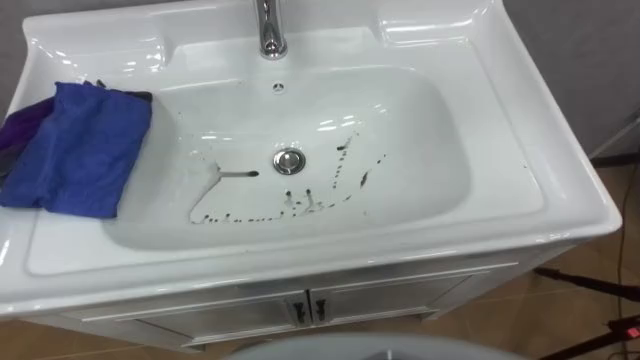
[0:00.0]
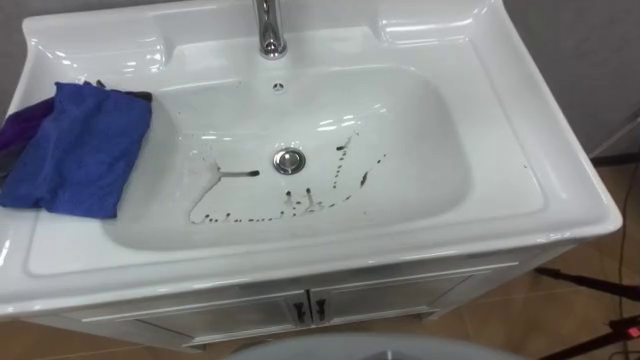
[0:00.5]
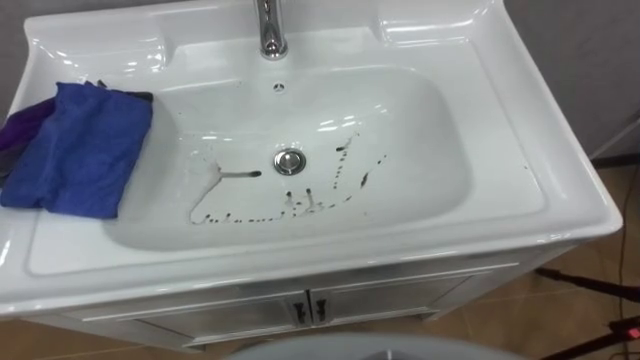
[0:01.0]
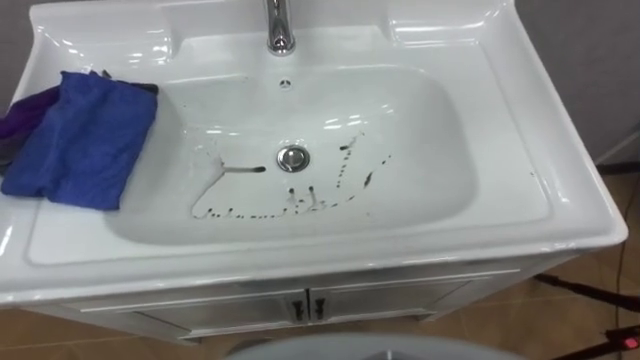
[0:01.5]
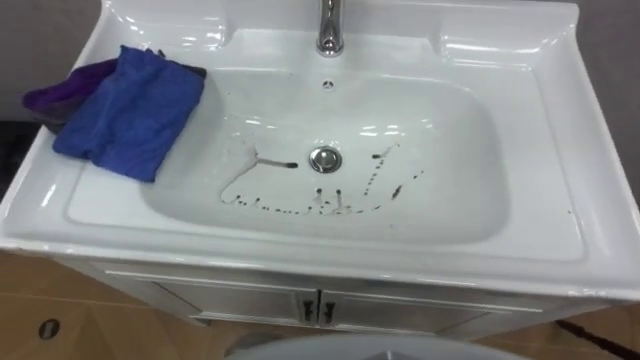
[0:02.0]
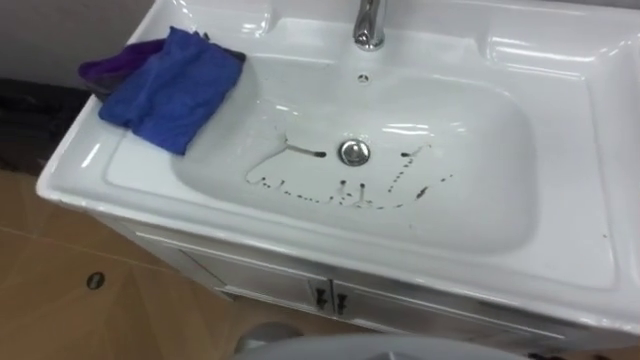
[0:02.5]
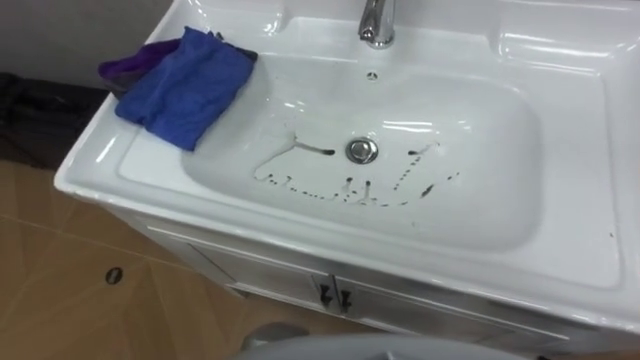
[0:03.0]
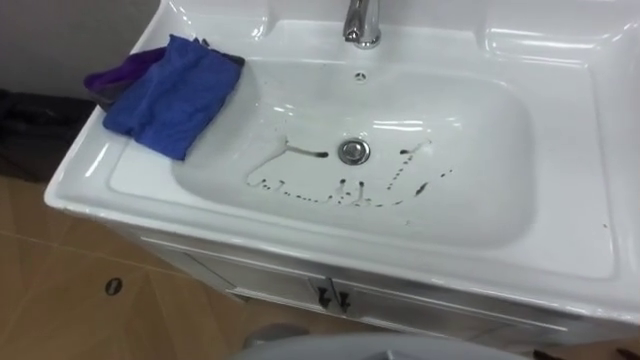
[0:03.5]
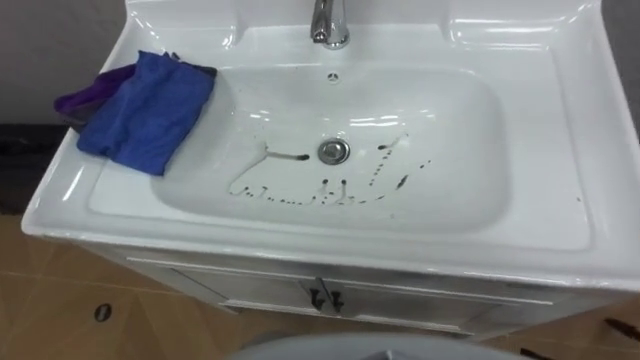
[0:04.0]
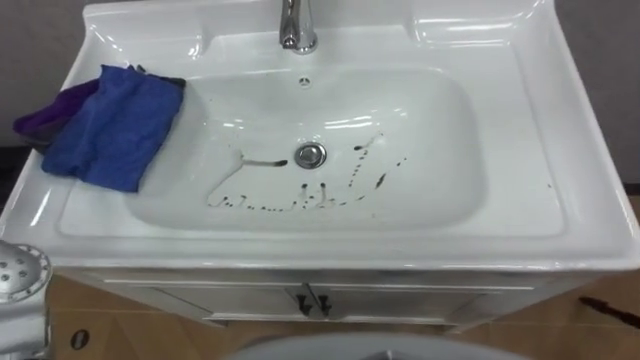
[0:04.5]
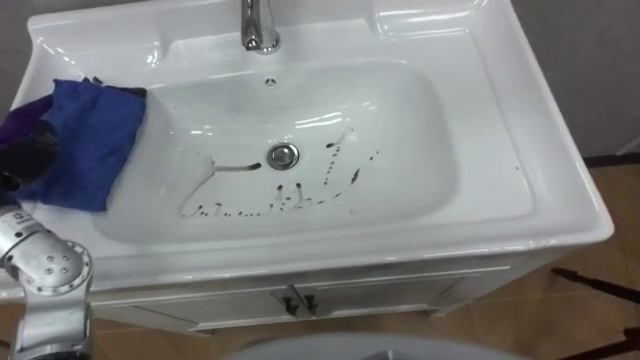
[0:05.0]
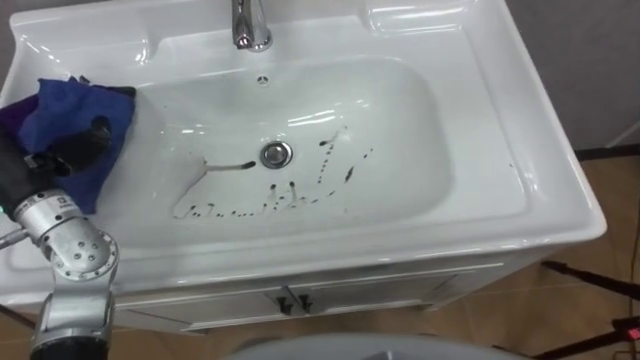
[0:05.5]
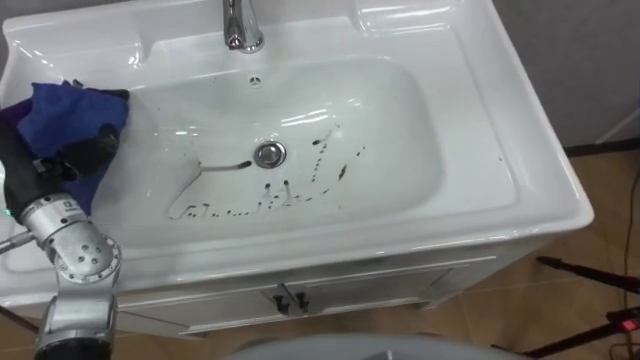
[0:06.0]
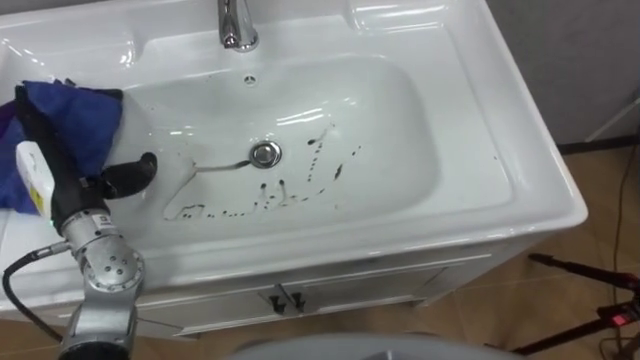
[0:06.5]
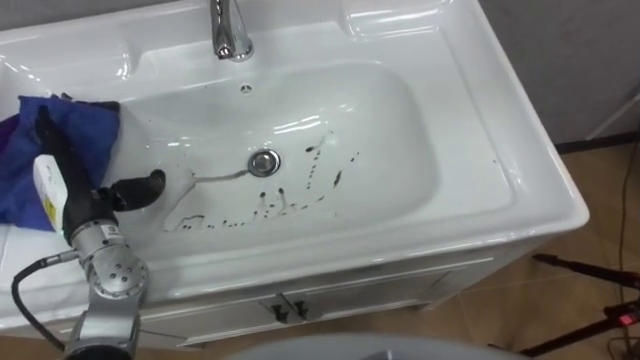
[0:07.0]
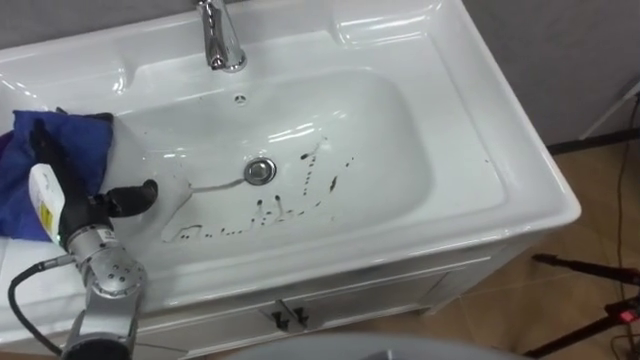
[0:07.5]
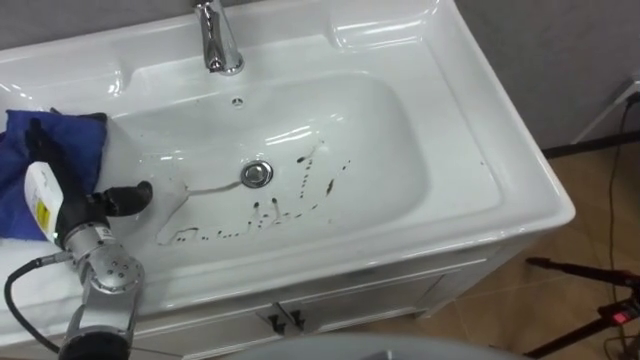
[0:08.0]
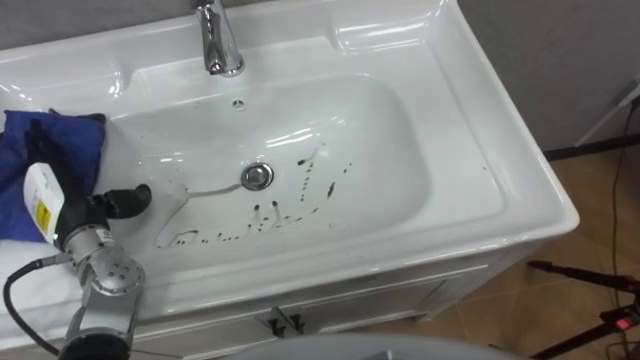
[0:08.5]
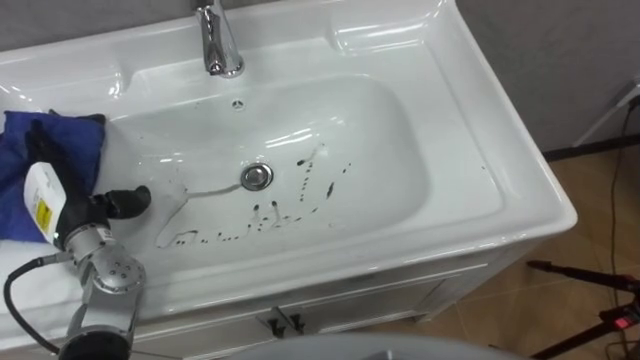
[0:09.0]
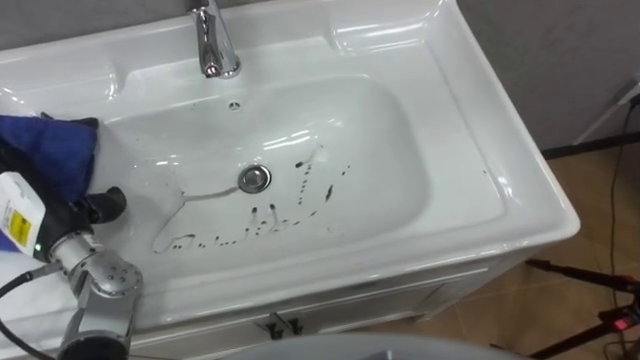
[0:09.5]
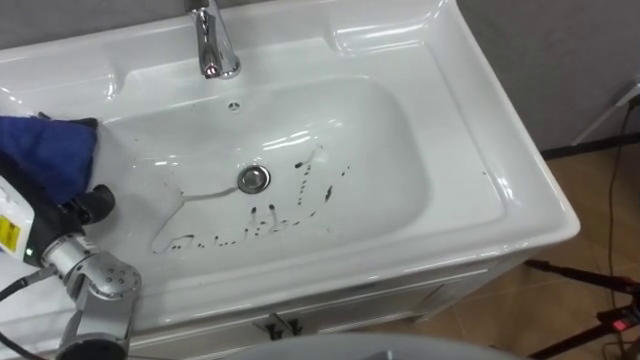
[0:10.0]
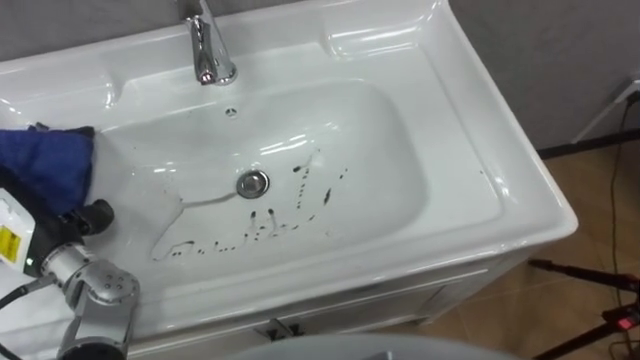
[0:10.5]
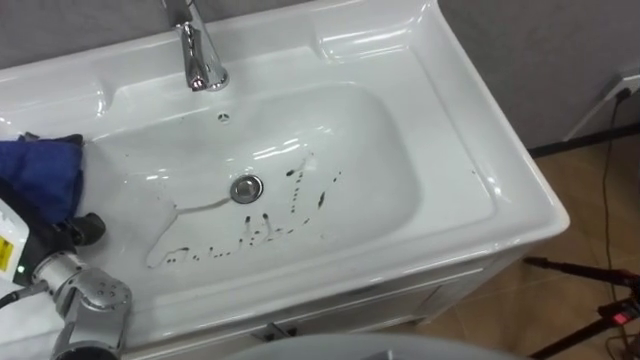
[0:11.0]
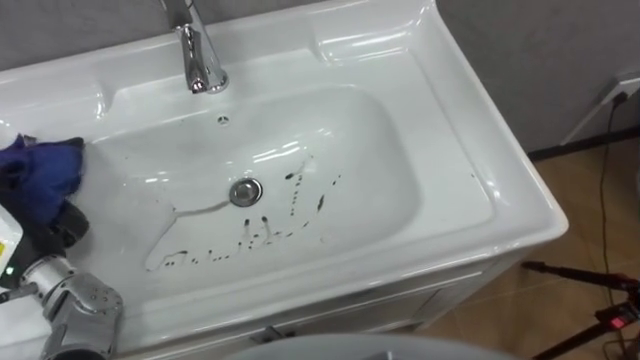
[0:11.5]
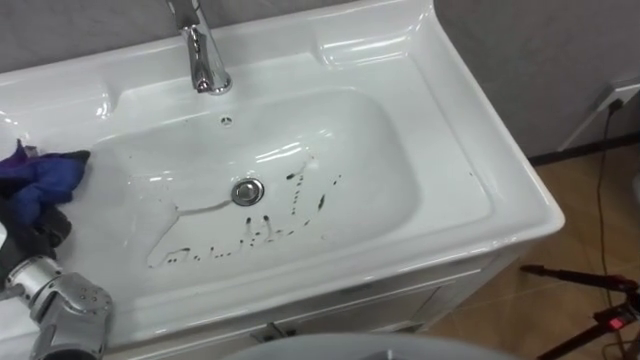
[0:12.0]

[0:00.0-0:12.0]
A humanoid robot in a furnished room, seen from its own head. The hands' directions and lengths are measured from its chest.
Task of the whole recording: Use the cloth on the right to wipe away the black stain in the sink.
0:06.0 to 0:08.0: The left hand goes some 10 cm downward.

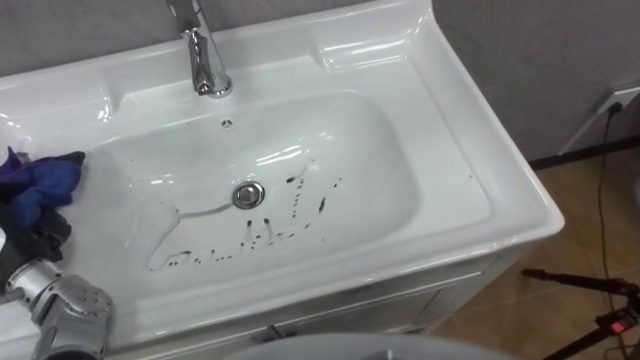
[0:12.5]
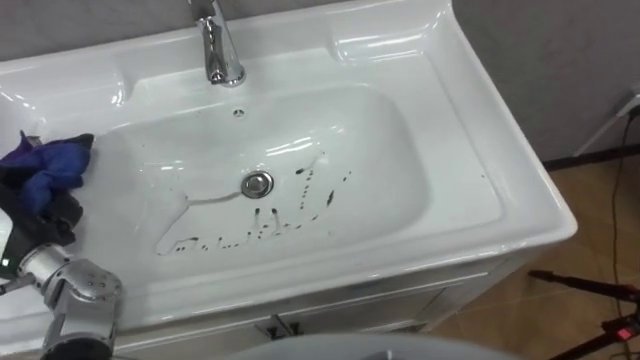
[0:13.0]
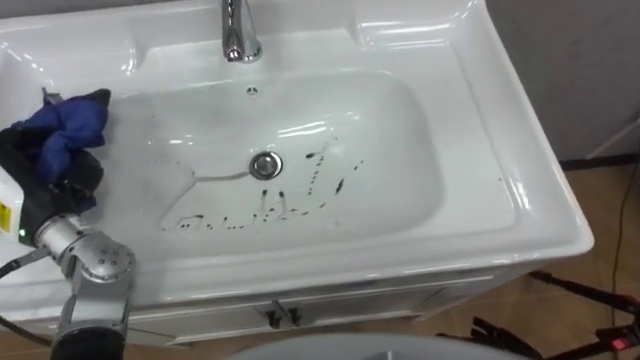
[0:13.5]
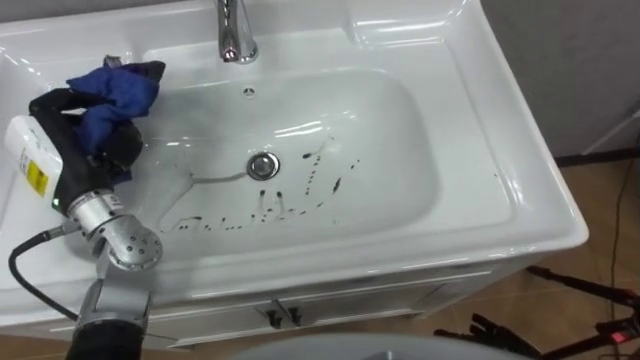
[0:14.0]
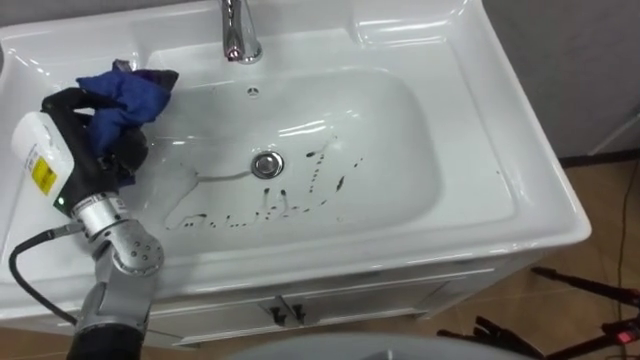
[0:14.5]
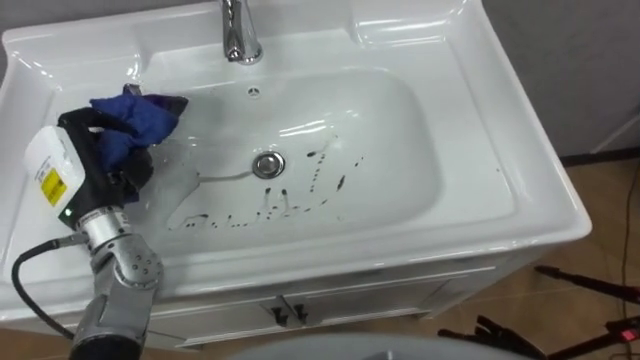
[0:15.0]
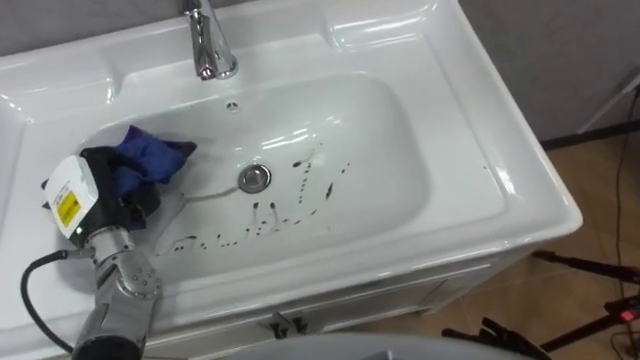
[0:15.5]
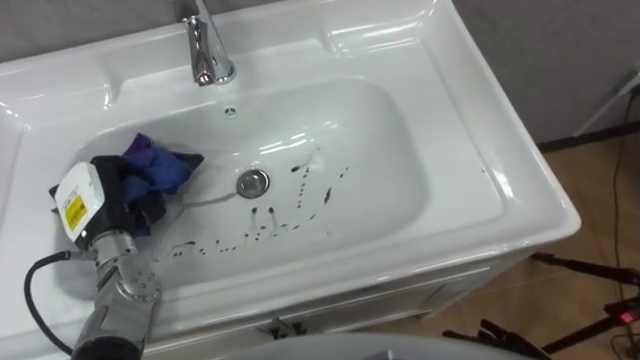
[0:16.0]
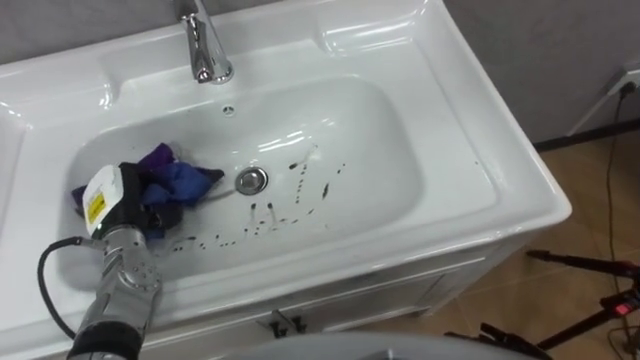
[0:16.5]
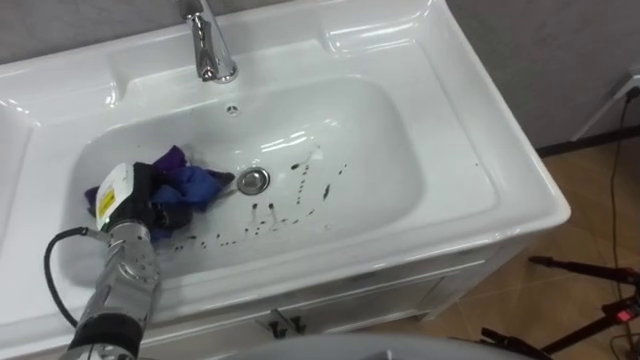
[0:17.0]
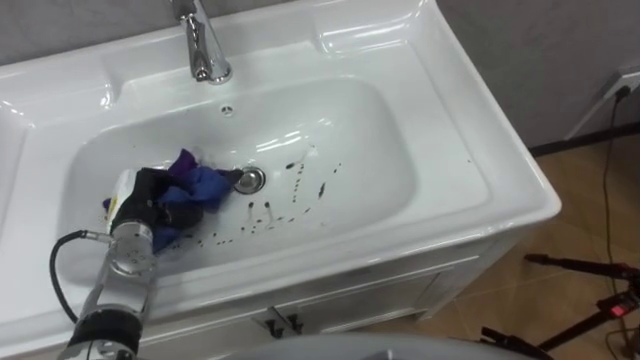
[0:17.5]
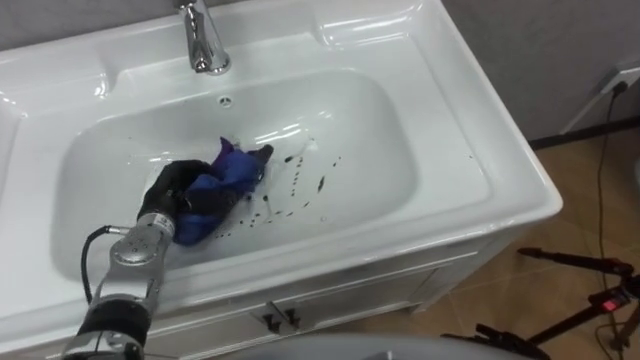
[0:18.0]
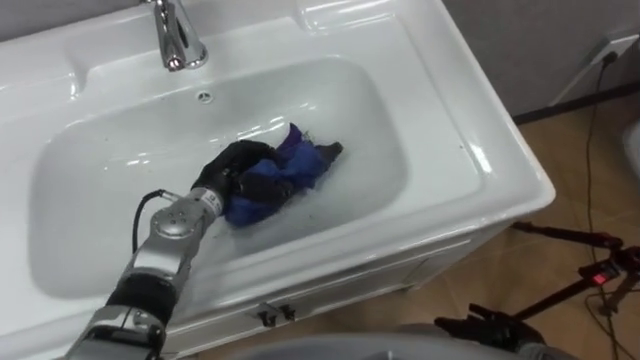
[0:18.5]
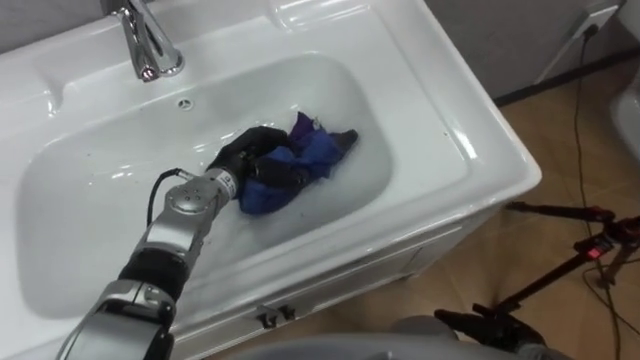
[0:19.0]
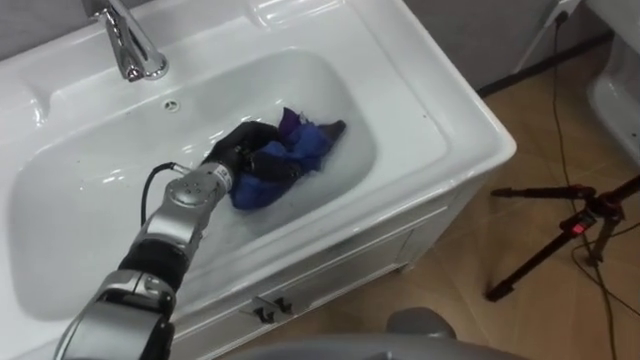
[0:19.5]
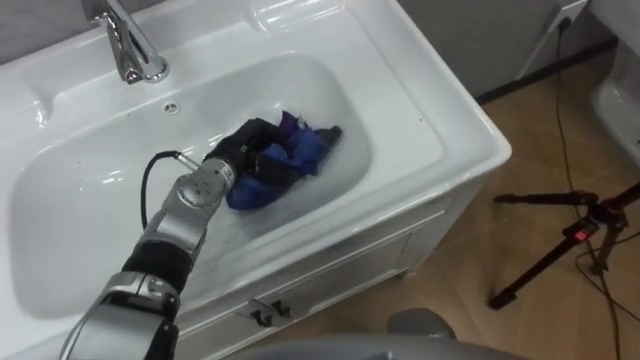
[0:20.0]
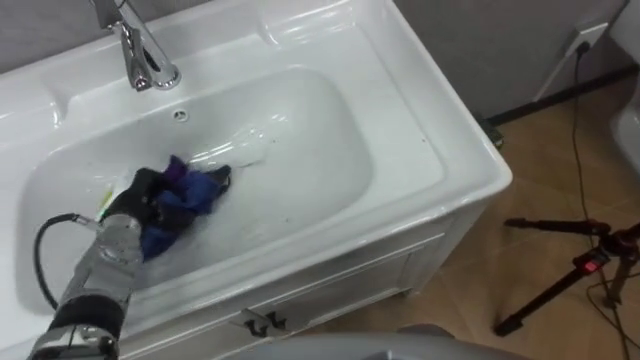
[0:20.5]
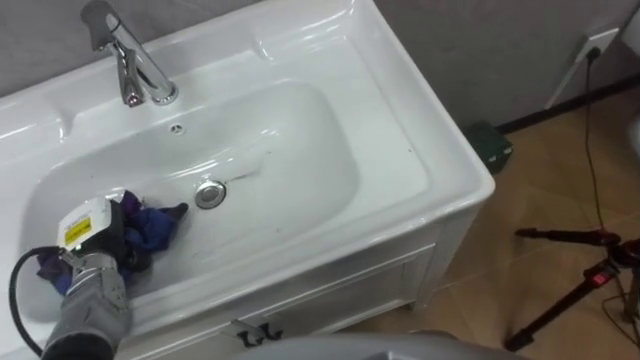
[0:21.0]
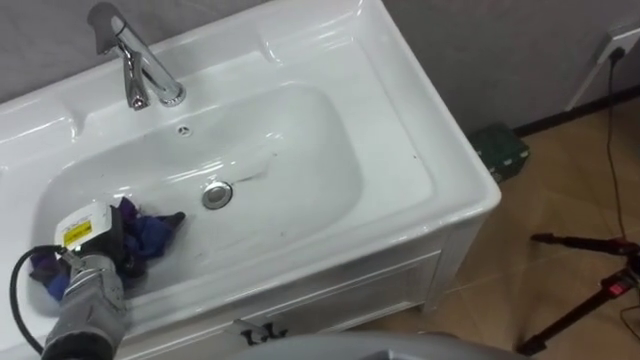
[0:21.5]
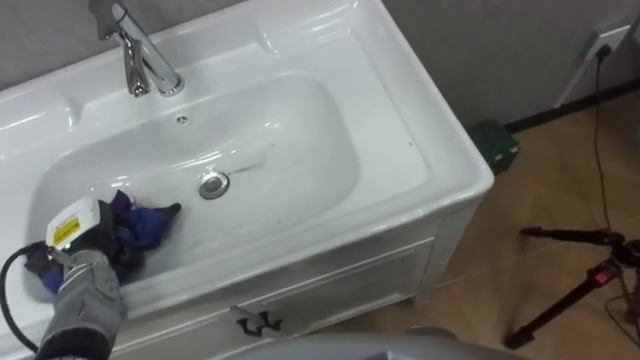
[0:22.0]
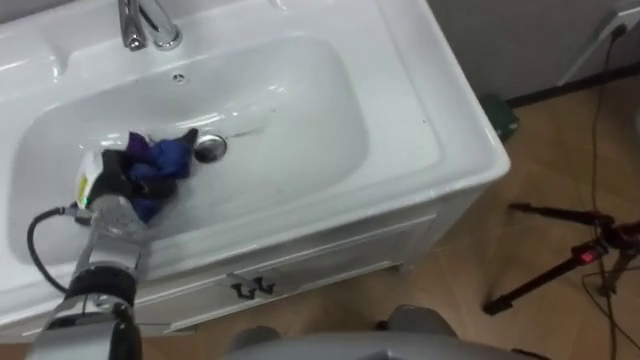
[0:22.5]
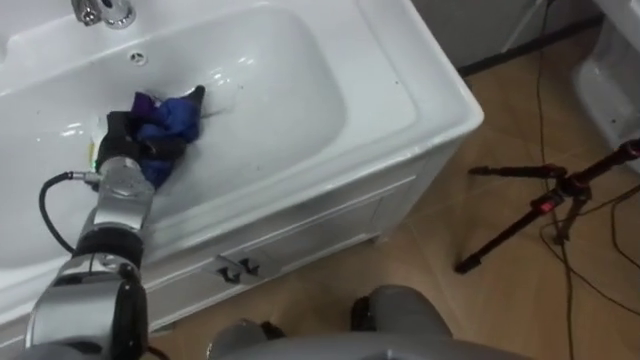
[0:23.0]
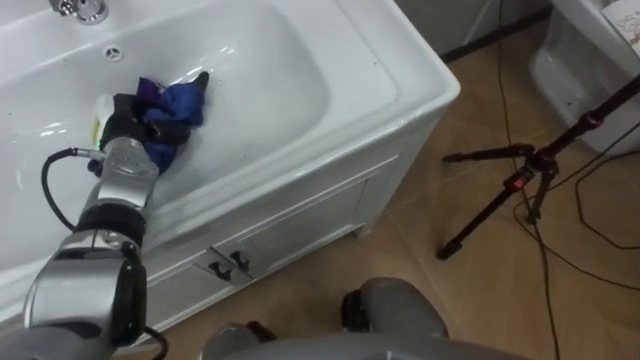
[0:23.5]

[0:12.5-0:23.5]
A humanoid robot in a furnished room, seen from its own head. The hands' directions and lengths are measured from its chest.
Task of the whole recording: Use the cloth on the right to wipe away the black stain in the sink.
0:14.5 to 0:16.0: The left hand is displaced downward by approximately 10 cm.
0:16.0 to 0:18.0: The left hand shifts about 10 cm to the right and downward.
0:18.0 to 0:20.0: The left hand moves to the right and forward, approximately 10 cm.
0:20.0 to 0:21.5: The left hand shifts approximately 25 cm to the left and backward.
0:21.5 to 0:23.5: The left hand shifts roughly 15 cm forward and upward.
